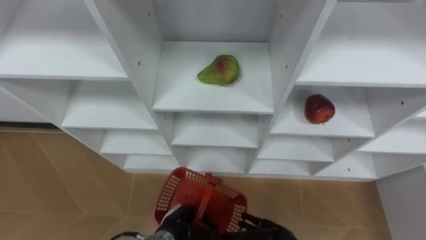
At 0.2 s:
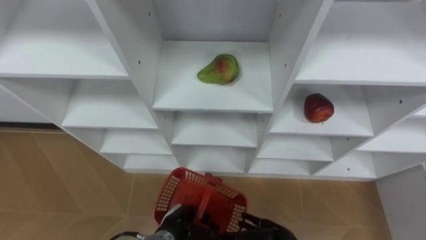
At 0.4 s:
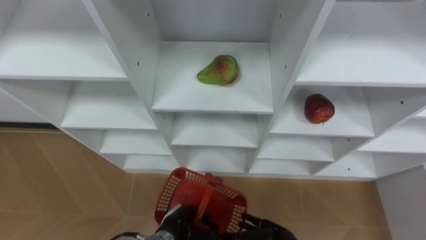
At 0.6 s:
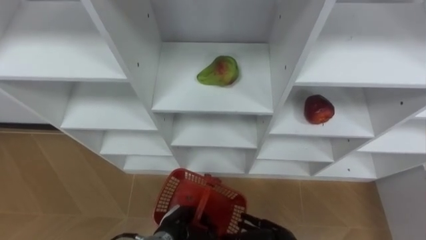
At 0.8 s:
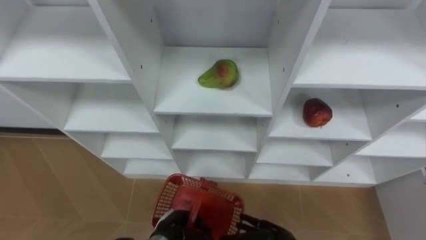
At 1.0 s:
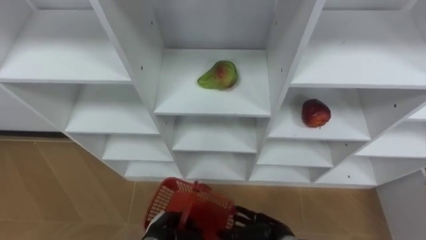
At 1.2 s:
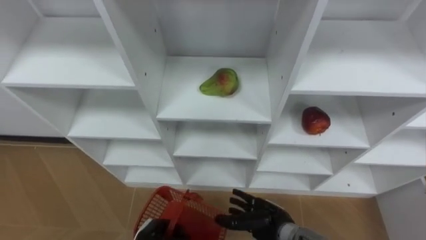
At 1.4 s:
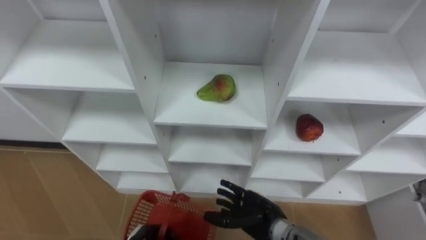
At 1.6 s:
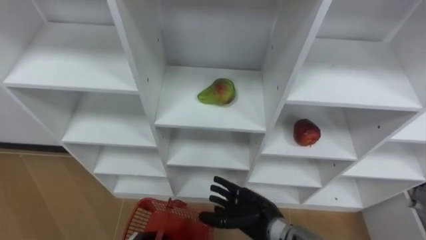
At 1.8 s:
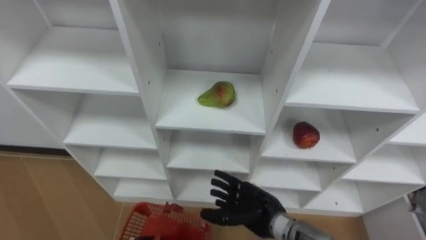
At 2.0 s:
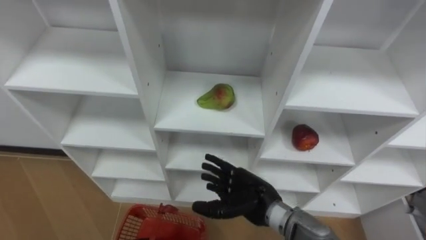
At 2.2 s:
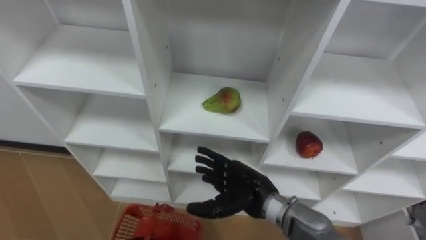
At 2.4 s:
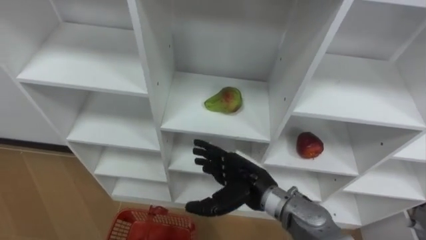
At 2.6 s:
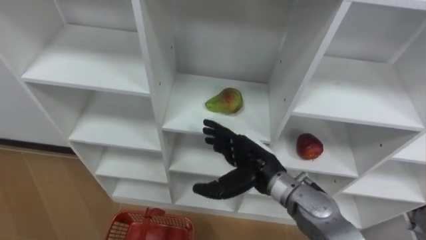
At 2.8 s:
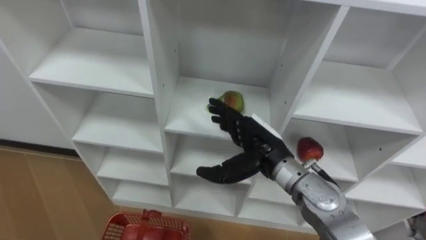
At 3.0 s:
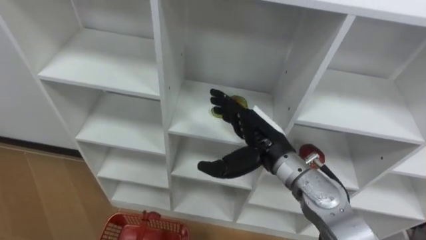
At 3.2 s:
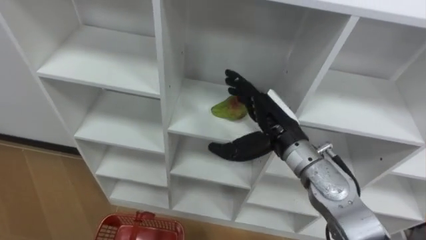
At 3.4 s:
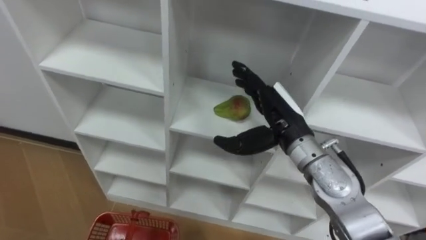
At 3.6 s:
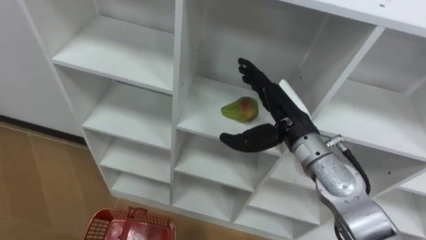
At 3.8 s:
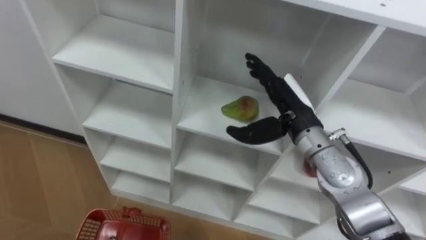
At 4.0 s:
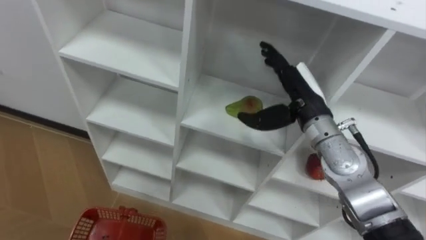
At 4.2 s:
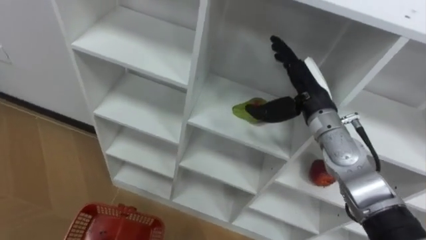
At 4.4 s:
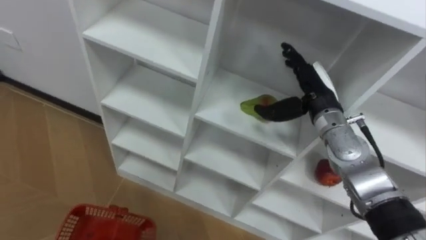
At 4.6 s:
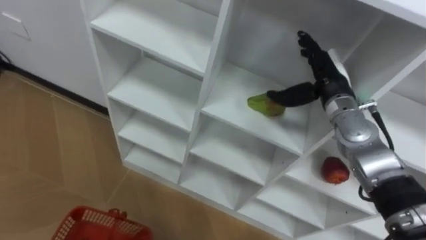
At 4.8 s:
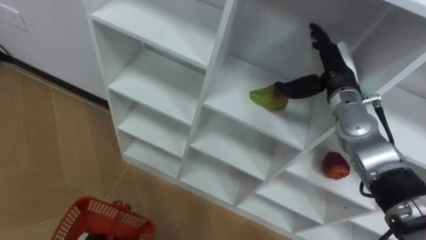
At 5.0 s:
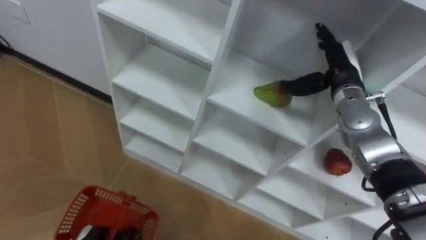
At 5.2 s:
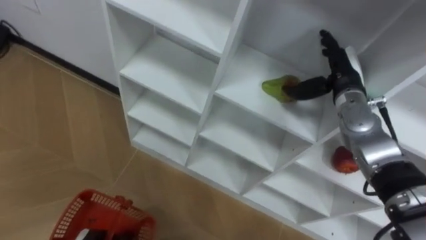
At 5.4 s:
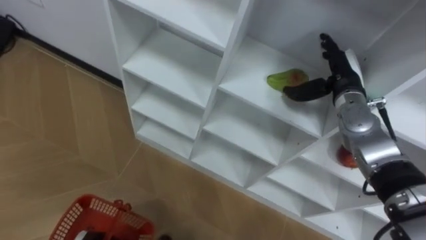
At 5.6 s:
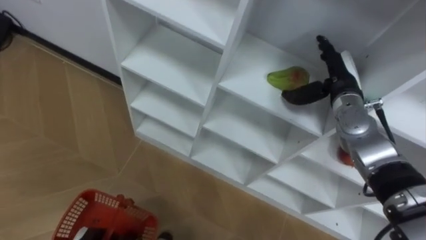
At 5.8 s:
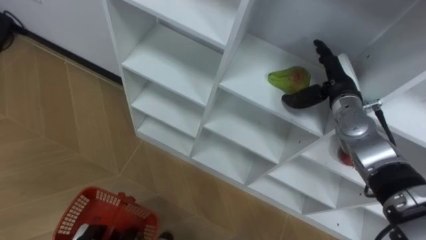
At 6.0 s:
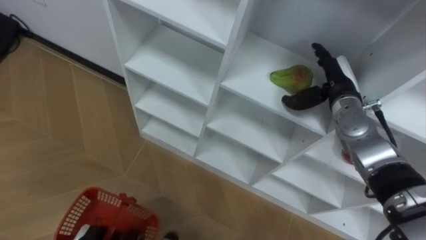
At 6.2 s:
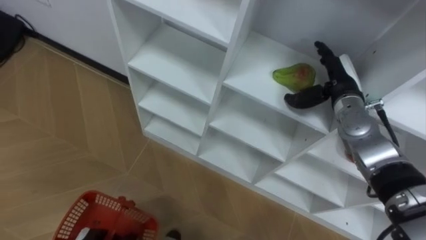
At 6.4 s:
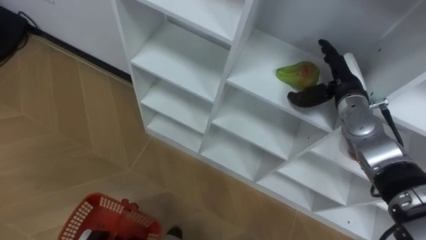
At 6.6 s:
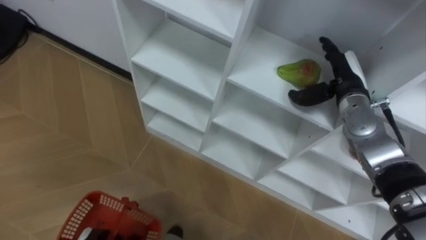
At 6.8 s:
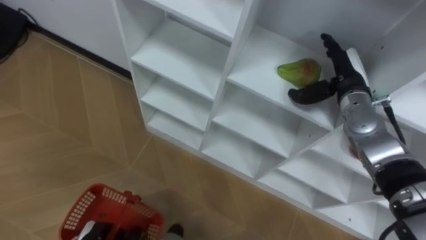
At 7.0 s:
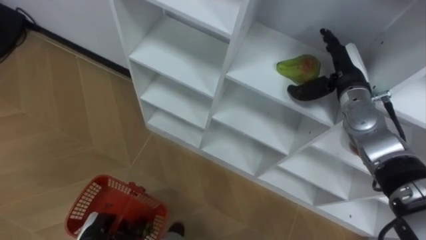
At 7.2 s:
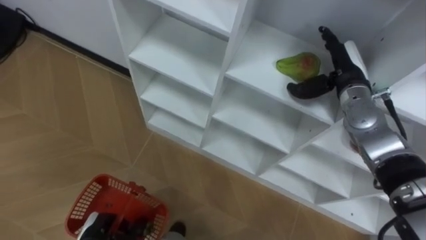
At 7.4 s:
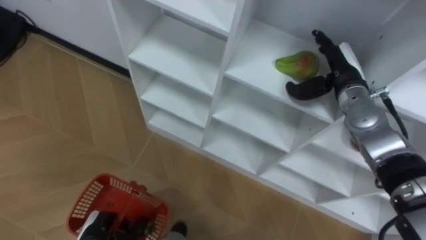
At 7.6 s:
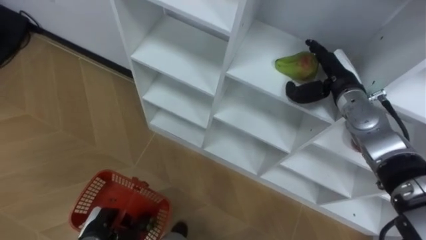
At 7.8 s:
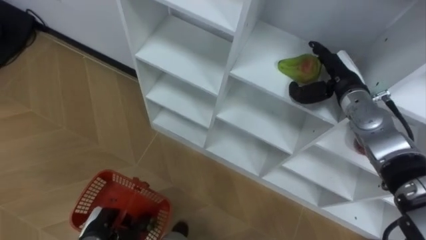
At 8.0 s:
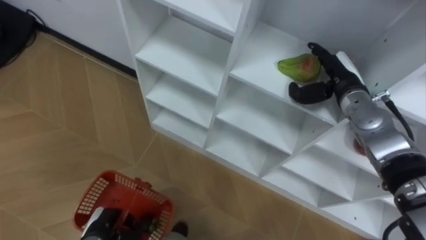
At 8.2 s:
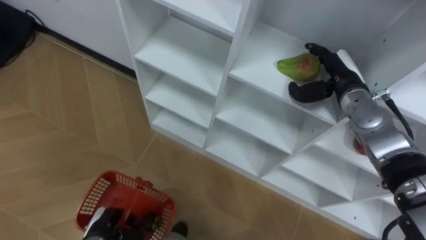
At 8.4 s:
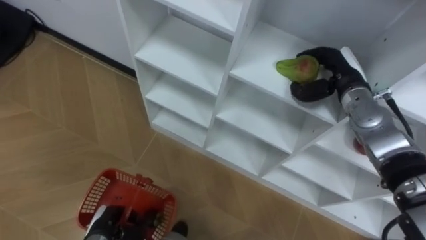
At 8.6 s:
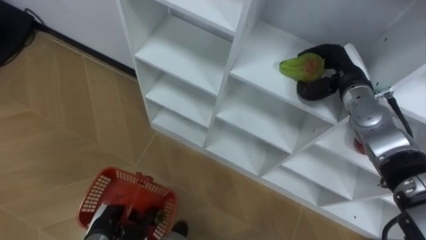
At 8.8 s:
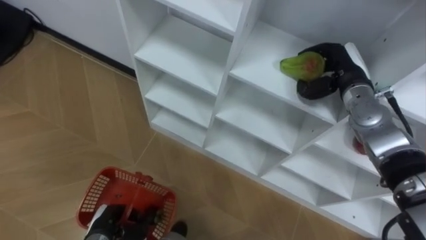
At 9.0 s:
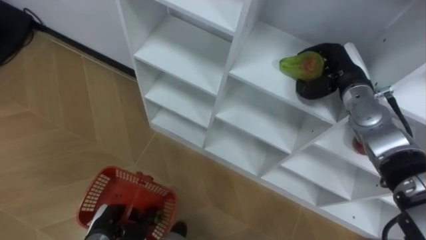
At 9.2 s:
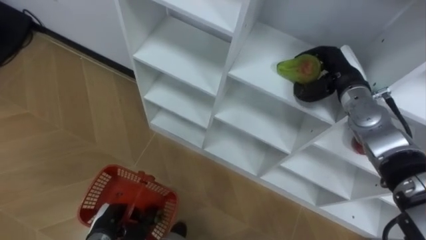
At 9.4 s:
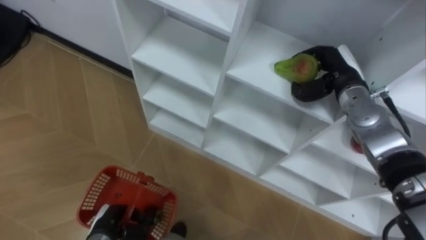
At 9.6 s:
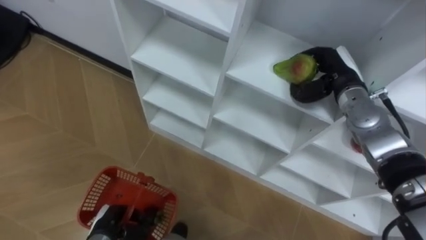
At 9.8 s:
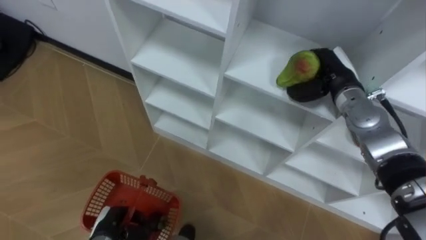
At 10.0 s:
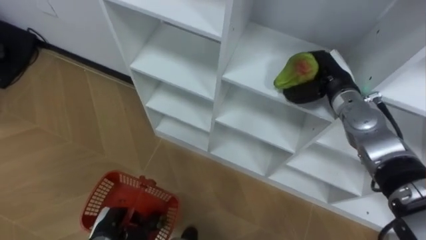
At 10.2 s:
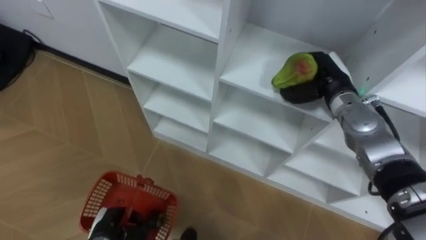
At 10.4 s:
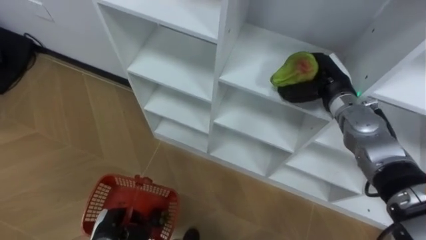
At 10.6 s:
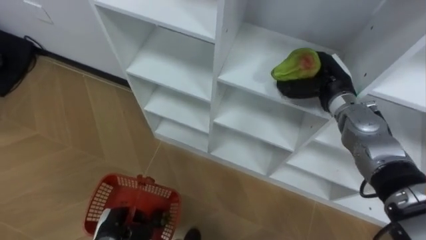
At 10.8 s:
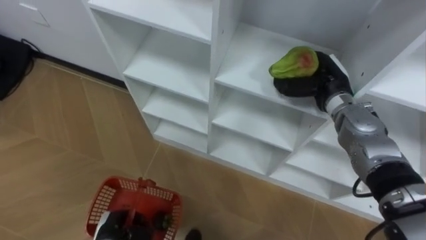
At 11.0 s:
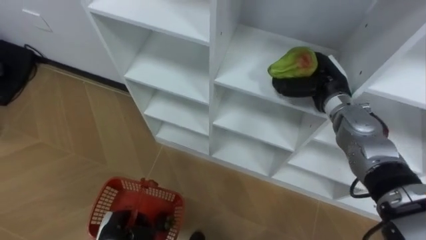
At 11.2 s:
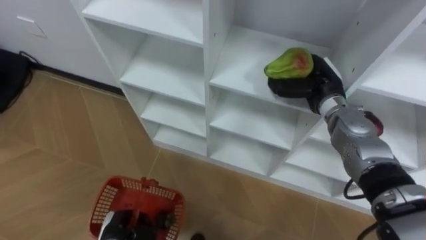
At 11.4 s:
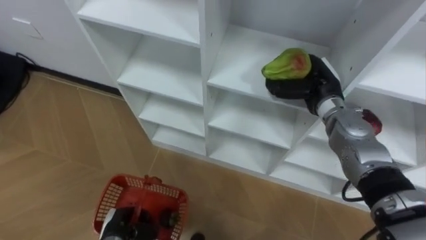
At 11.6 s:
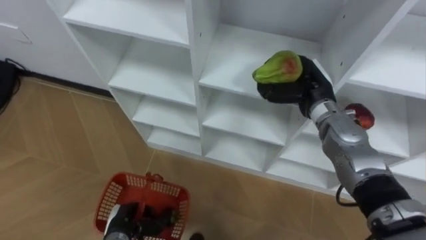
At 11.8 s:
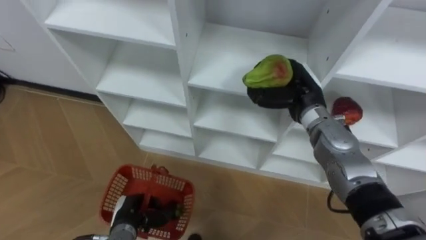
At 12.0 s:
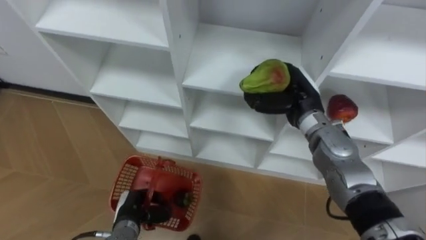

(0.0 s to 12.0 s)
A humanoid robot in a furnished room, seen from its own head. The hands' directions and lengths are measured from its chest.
Task of the whole recording: Hold the basket and collect the fruits from 3 different cells of the closet into it.
0.0 s - 1.6 s: The right hand travels upward by some 5 cm.
1.6 s - 3.0 s: The right hand shifts approximately 20 cm upward and forward.
3.0 s - 4.4 s: The right hand is displaced to the right and forward by about 15 cm.
4.4 s - 6.0 s: The right hand travels to the right by roughly 5 cm.
7.6 s - 9.0 s: The right hand closes up.
10.4 s - 12.0 s: The left hand changes place by about 5 cm. Meanwhile the right hand moves to the left, some 5 cm.

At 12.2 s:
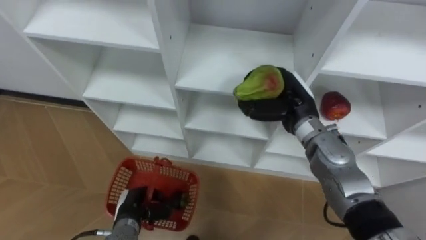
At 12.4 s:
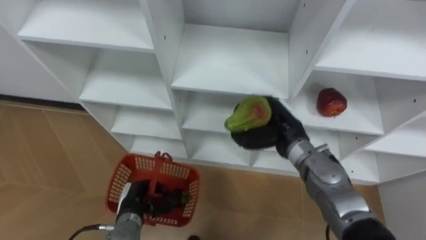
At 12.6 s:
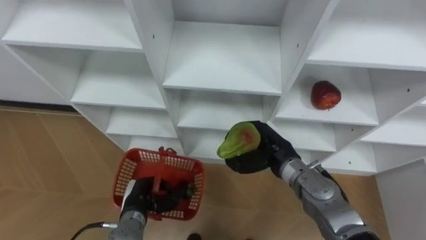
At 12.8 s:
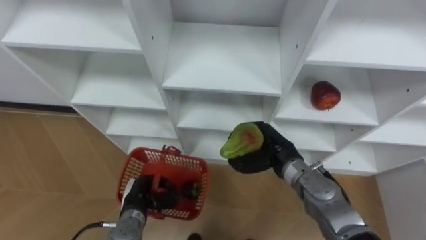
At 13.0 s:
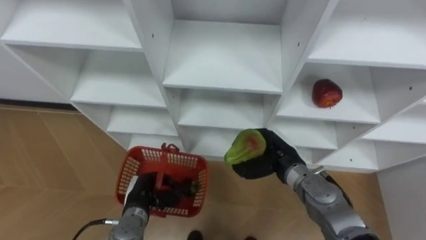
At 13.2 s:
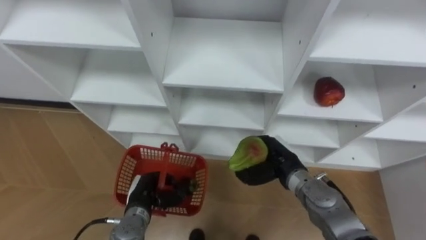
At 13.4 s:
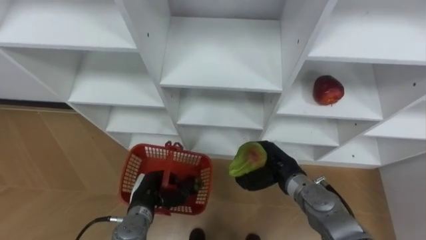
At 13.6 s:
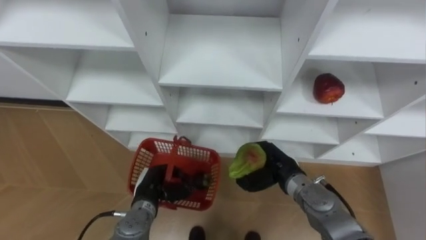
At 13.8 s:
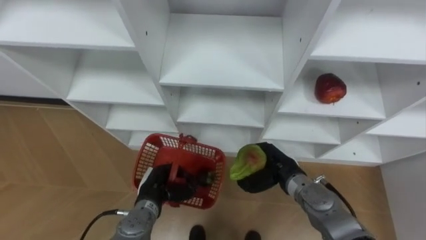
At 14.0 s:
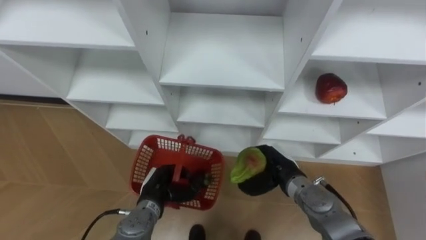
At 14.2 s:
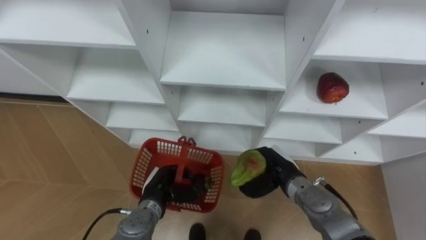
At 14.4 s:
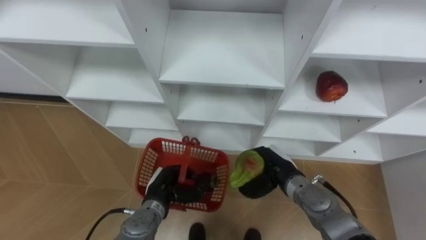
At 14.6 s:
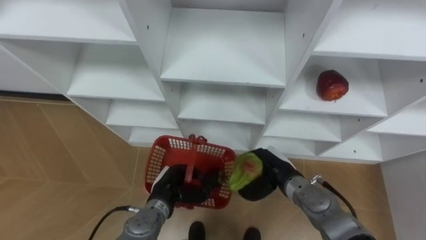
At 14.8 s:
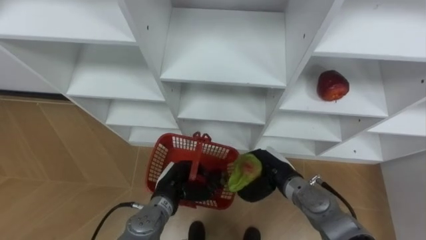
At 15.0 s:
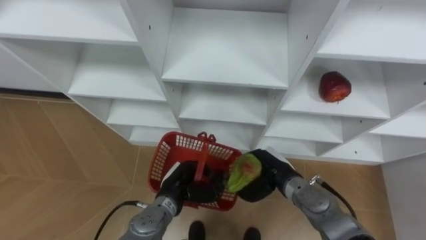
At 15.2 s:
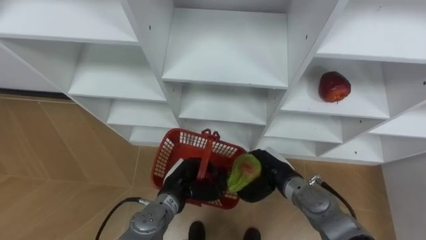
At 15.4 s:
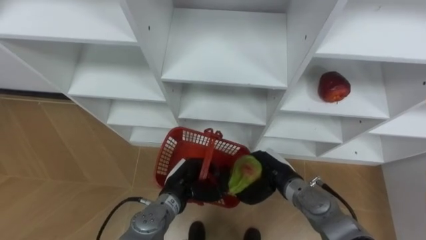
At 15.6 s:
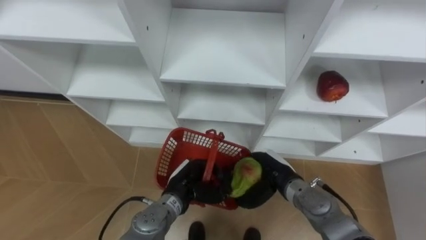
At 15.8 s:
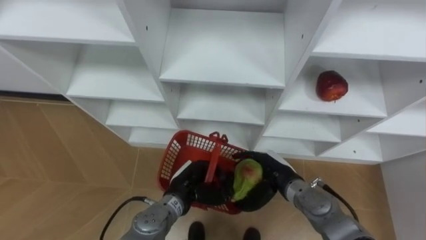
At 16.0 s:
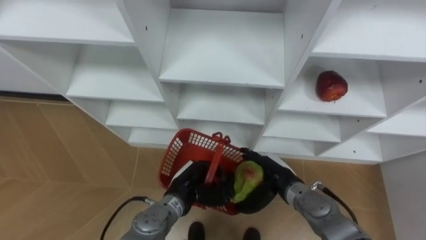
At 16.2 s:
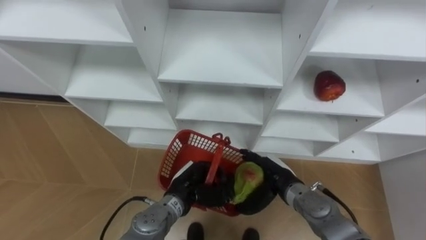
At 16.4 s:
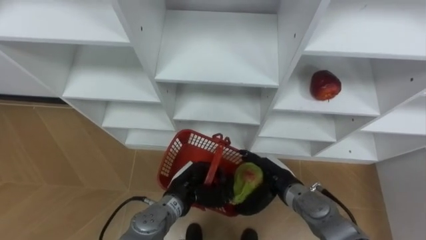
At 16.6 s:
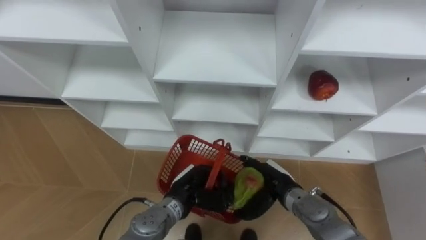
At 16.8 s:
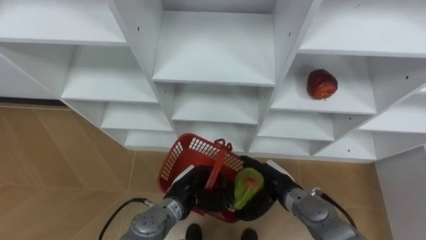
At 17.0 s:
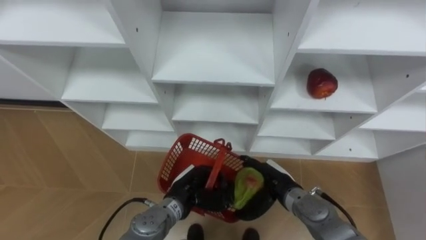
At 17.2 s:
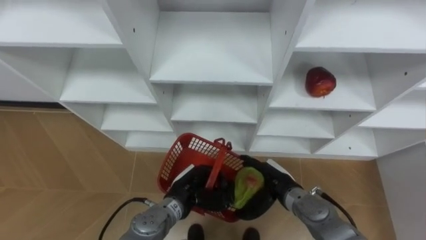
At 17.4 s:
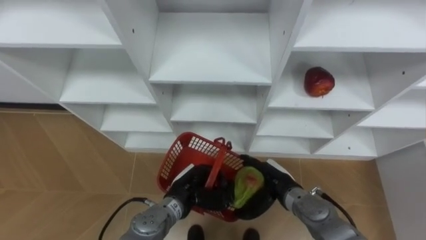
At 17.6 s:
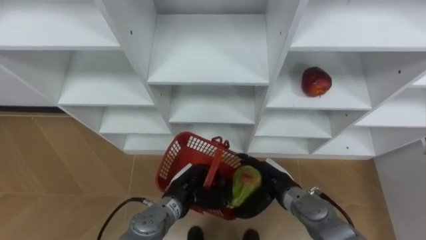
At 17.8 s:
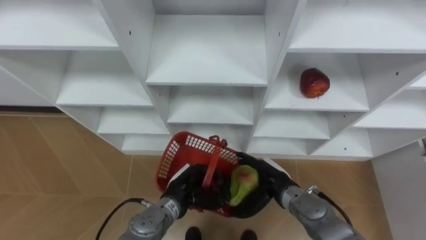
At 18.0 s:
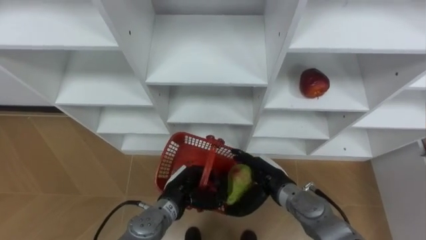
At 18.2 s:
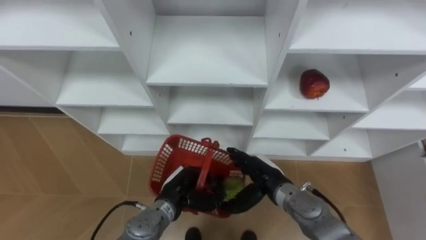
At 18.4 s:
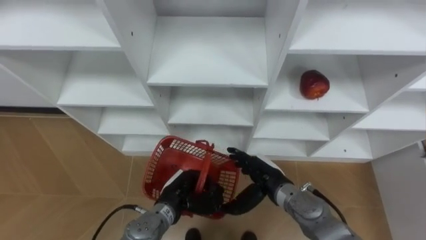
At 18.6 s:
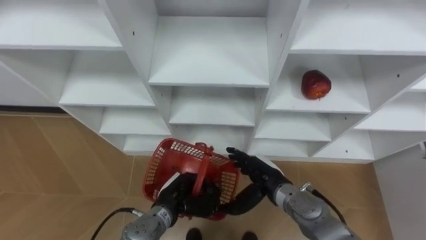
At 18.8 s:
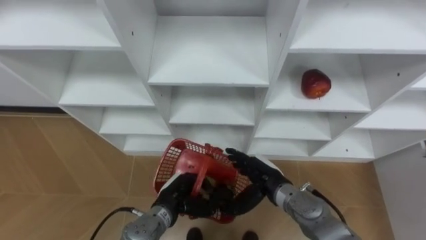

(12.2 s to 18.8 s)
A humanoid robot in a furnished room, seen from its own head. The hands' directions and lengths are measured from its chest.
Task of the whole recording: Hold the basket and collect the fruits from 3 different cells of the closet into it.
12.2 s - 13.8 s: The left hand travels to the right by some 5 cm. The right hand is displaced downward and backward by approximately 15 cm.
13.8 s - 15.4 s: The left hand is displaced to the right by about 5 cm.
15.4 s - 17.2 s: The right hand opens its fingers.
17.2 s - 18.8 s: The hands stay close to where they were, moving slightly.
